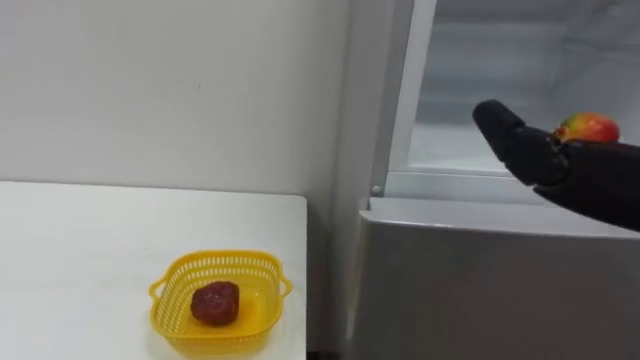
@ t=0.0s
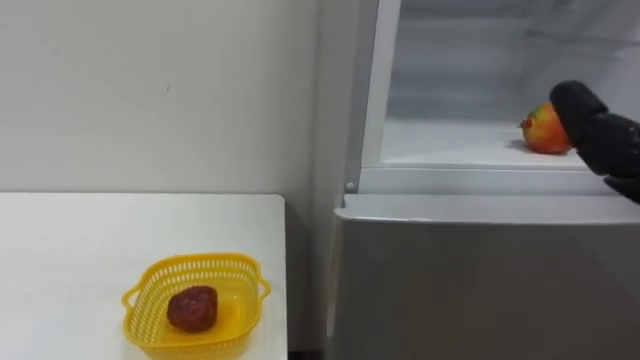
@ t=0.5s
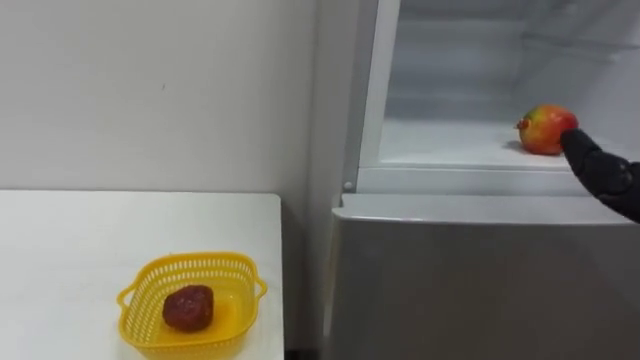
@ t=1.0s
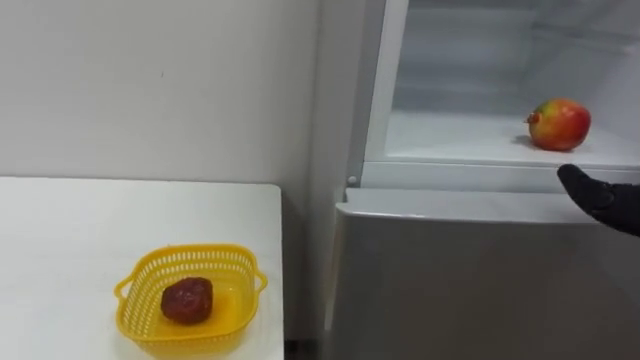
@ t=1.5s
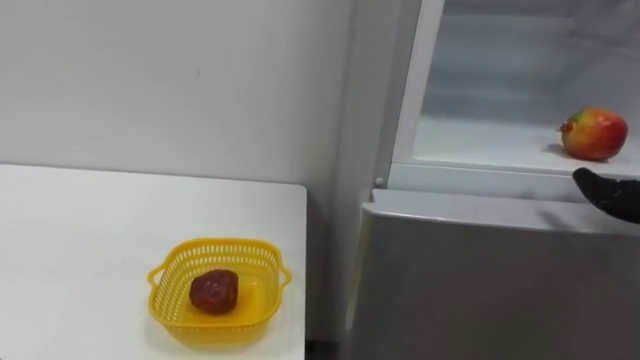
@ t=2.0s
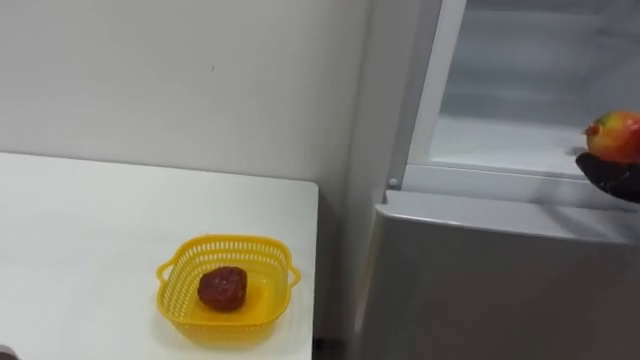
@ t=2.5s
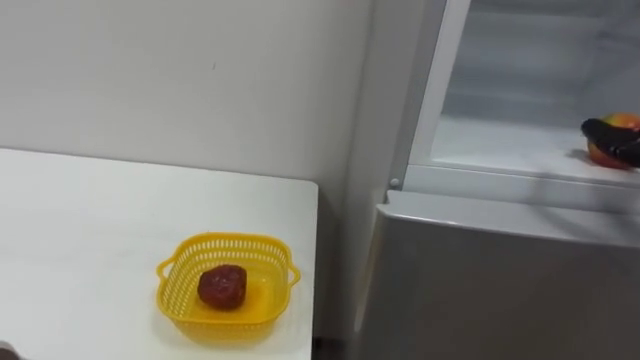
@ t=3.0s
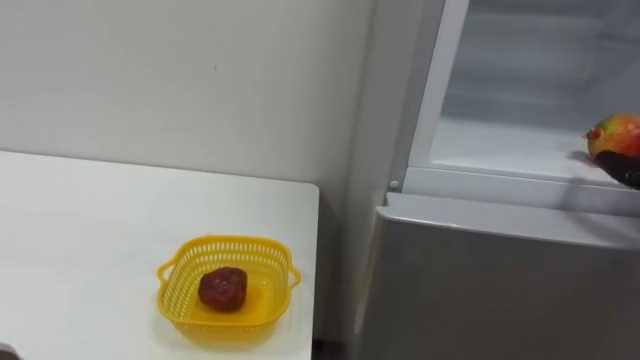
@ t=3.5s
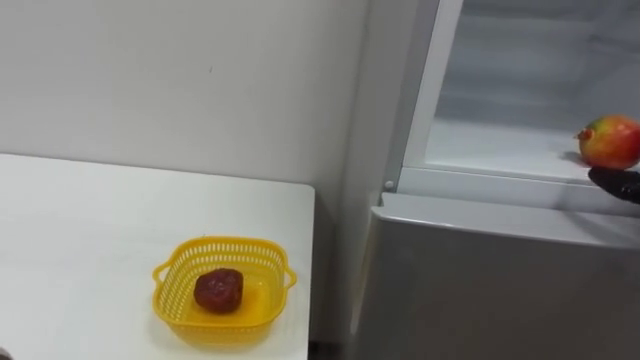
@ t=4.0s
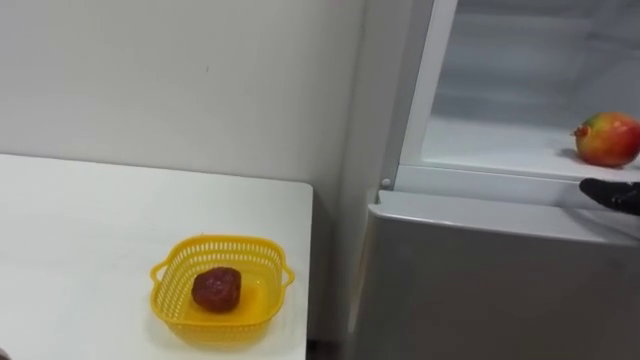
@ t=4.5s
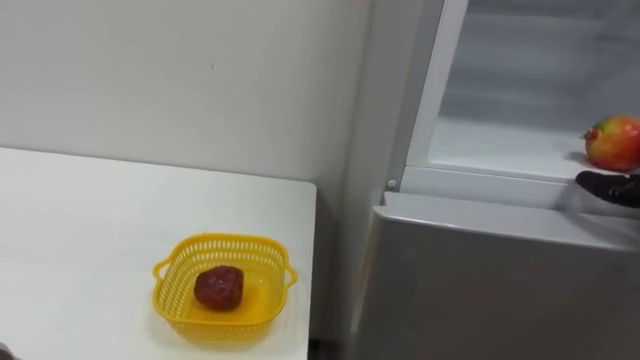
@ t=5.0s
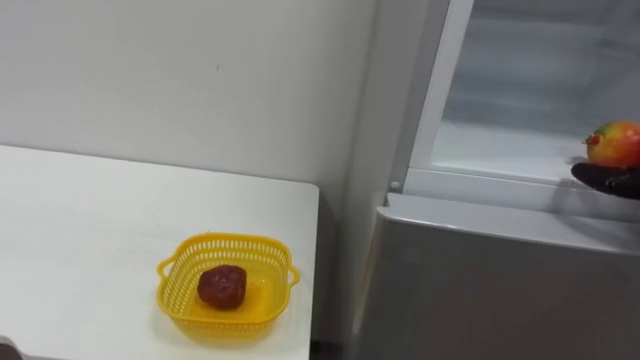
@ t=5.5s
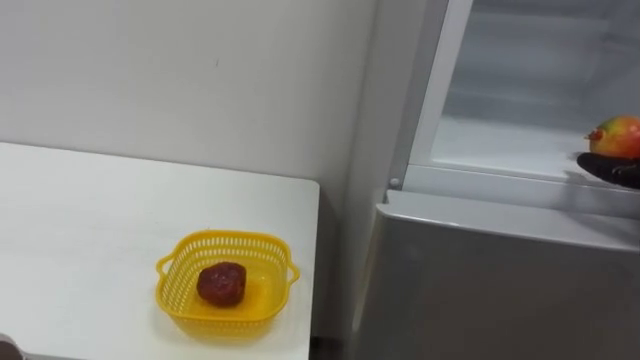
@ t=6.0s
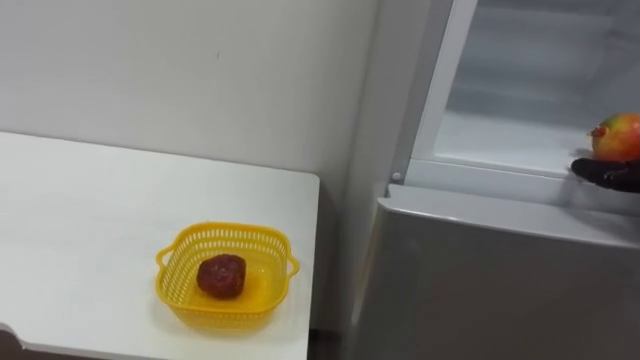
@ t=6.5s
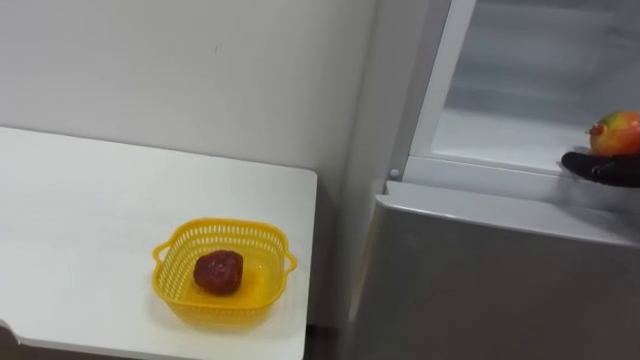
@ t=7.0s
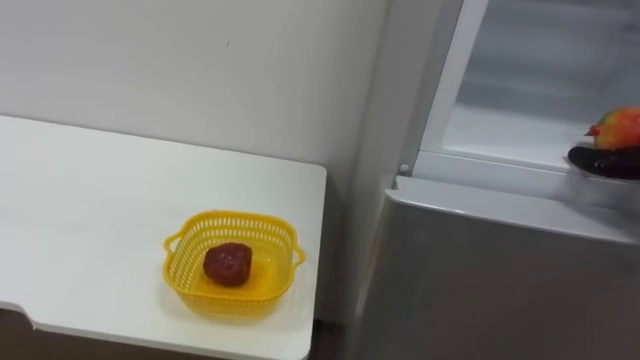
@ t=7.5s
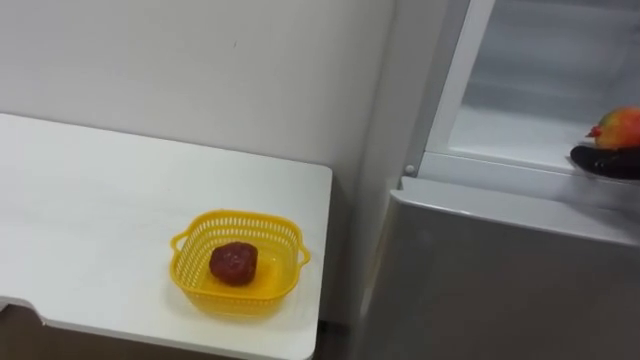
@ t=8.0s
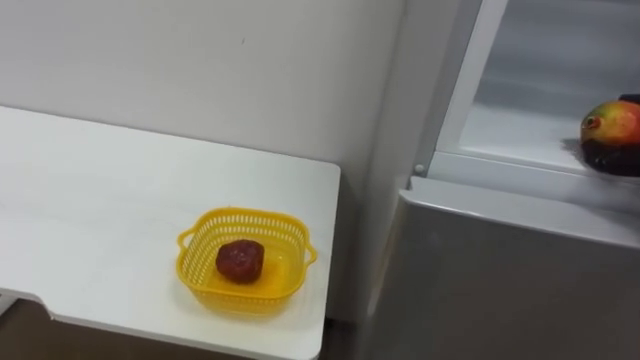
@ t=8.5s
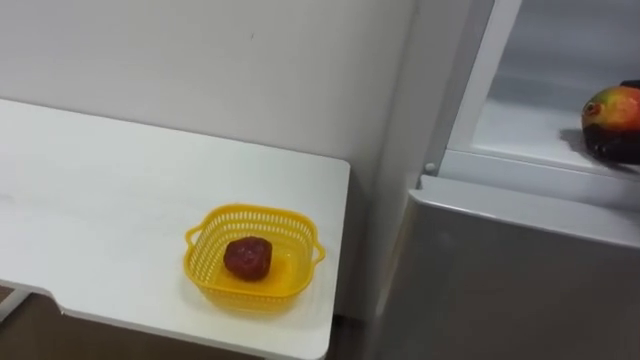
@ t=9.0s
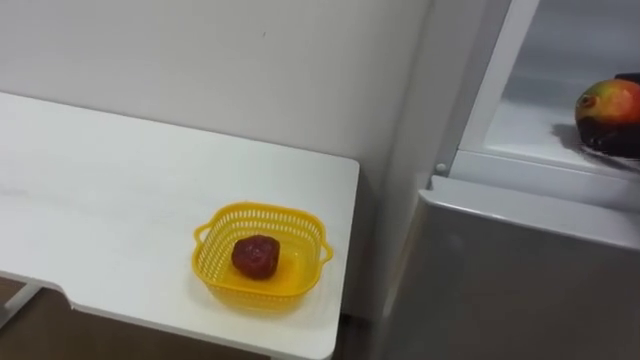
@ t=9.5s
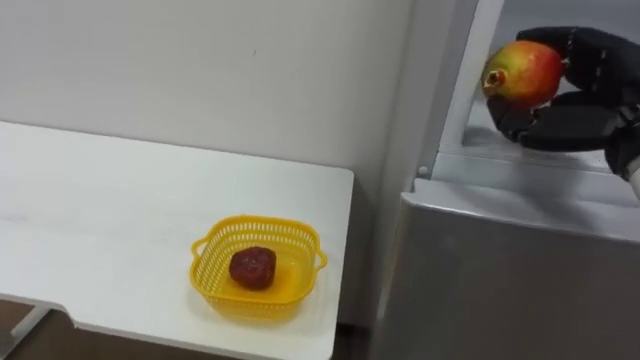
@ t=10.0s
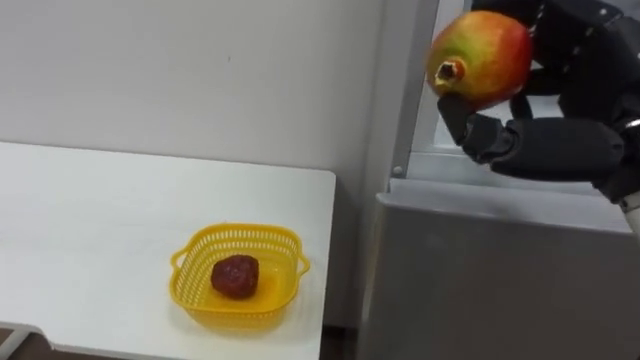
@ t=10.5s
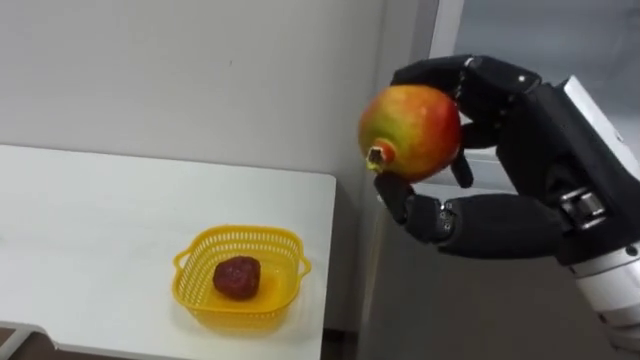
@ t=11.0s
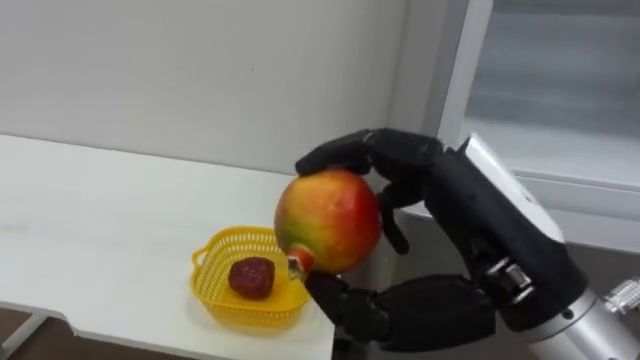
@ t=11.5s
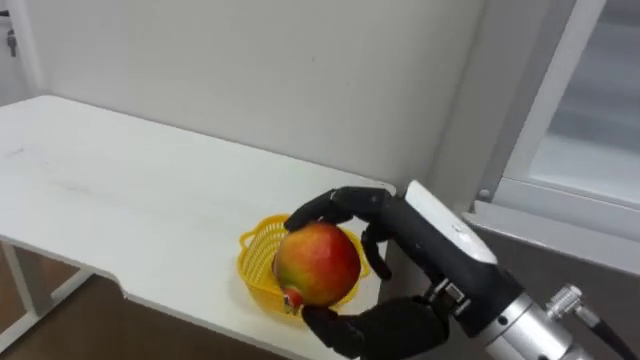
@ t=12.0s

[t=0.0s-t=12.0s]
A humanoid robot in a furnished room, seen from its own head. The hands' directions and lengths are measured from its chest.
Task of the whole recording: Open the refrigerator door, take out the apple and the pomegranate, place them in the fruit basket on the left, and close the refrigerator door.
t=10.0s to t=12.0s: The right hand travels to the left and backward by roughly 20 cm.

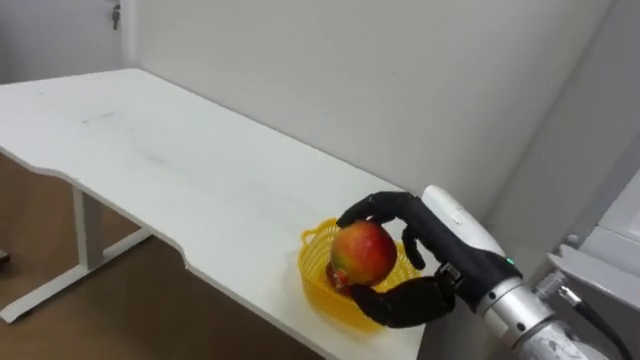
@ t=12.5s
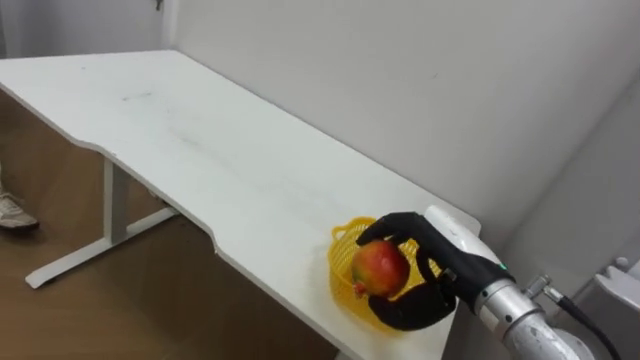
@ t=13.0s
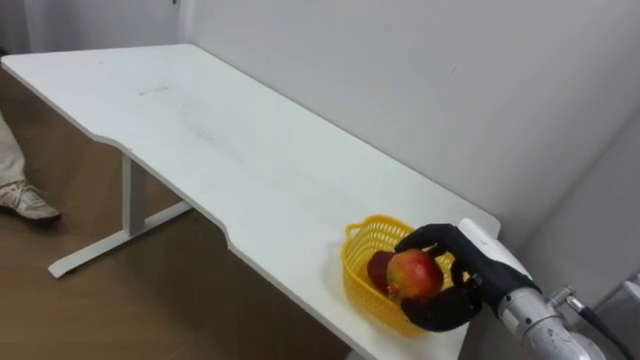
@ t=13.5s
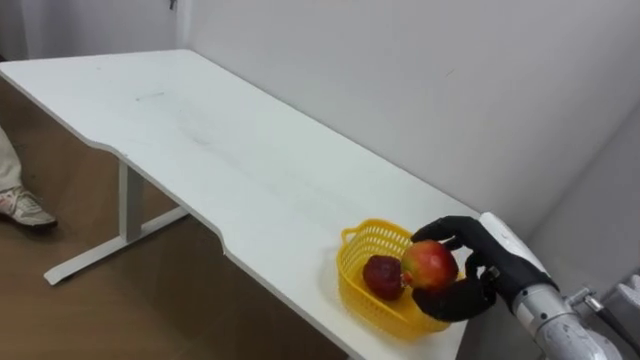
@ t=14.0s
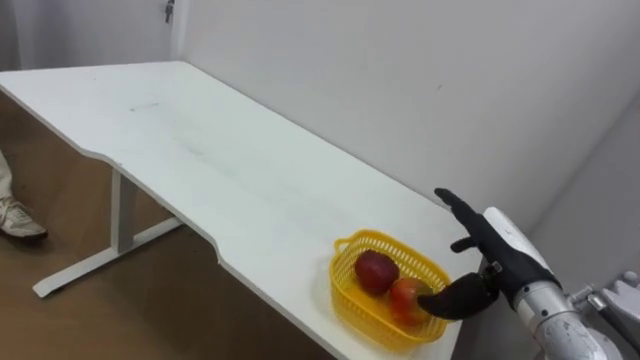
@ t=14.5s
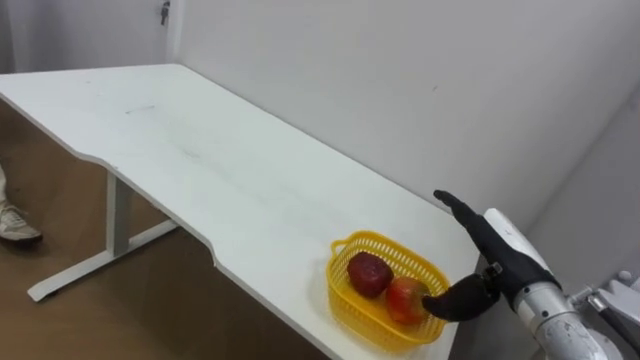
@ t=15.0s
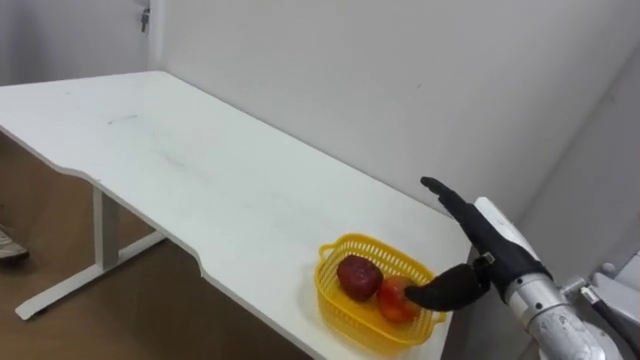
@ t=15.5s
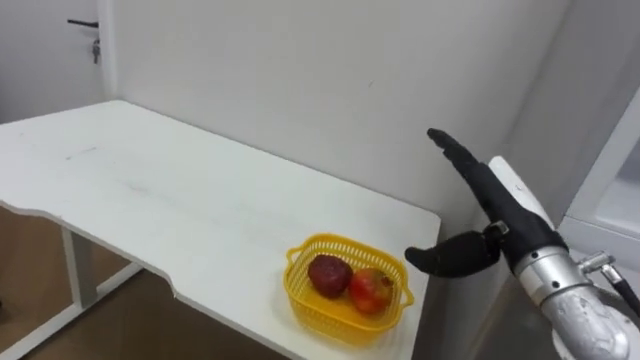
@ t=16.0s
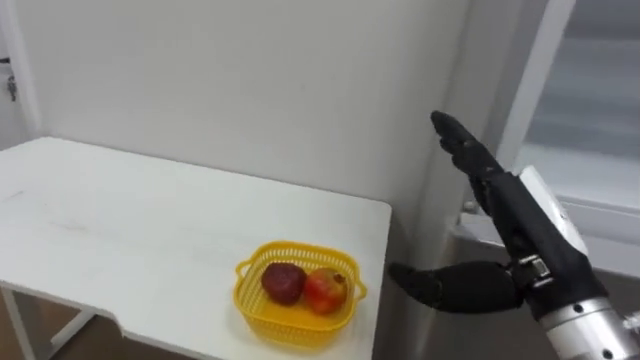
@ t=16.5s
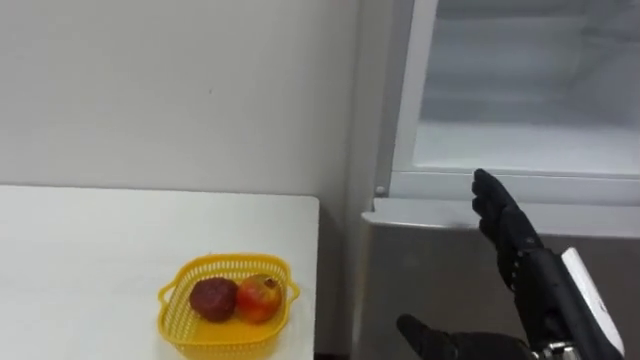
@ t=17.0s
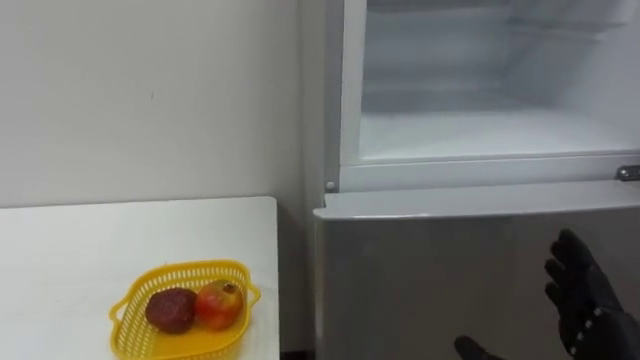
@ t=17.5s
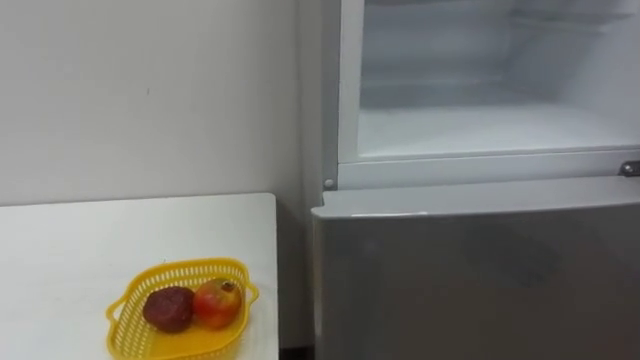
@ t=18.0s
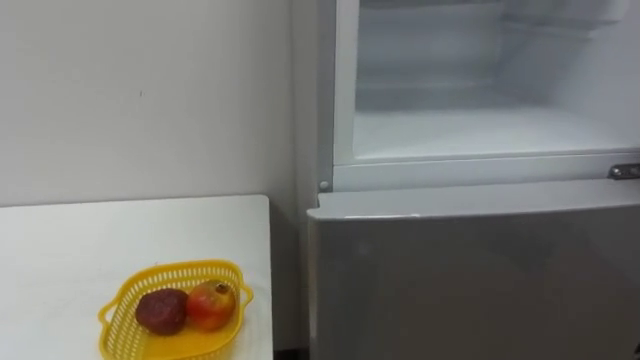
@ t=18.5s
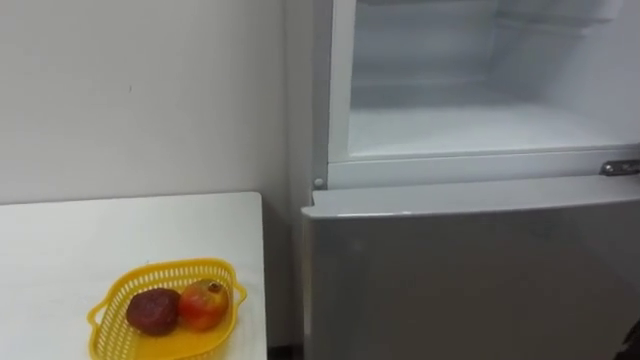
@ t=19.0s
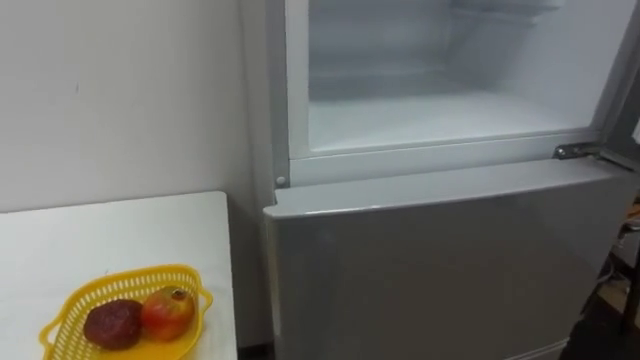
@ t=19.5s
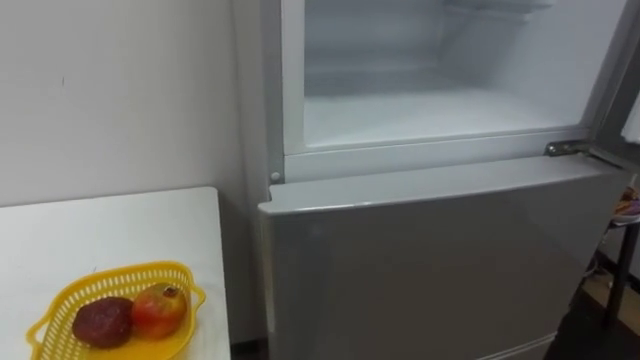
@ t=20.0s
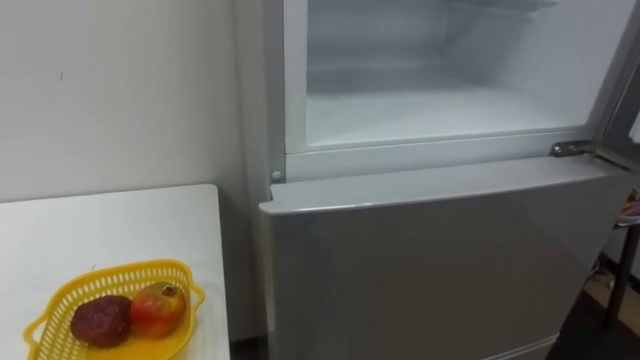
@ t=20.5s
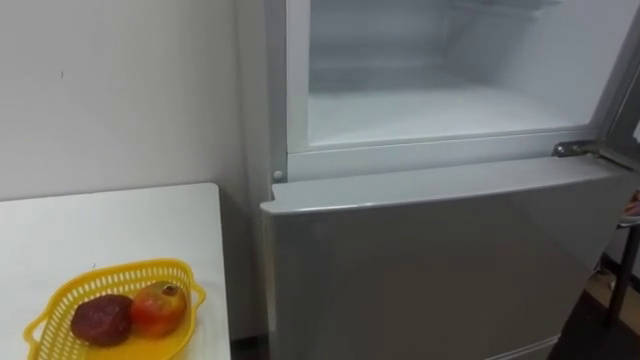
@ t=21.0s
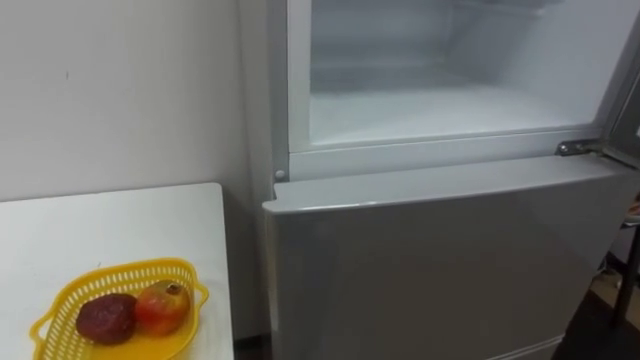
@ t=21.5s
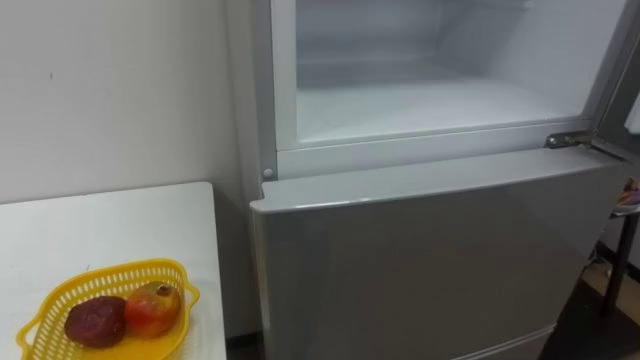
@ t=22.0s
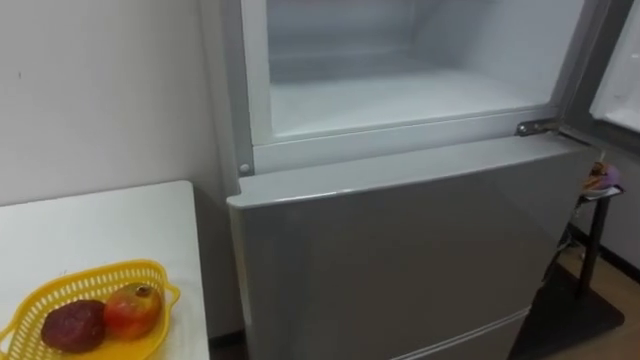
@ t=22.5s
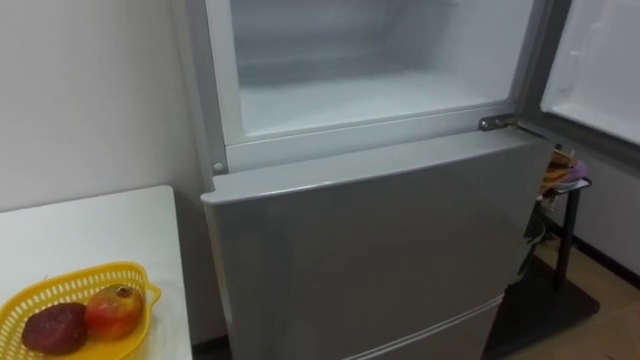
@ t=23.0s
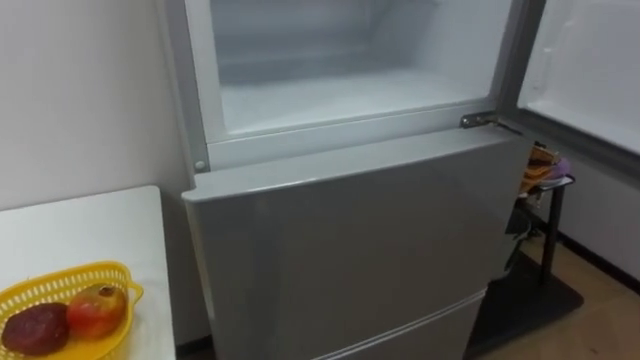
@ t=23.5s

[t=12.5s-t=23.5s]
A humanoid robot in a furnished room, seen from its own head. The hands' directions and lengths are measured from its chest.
Task of the whole recording: Open the refrigerator door, take out the apple and the pomegranate, place them in the fruit basket on the left, and close the refrigerator door.
t=12.5s to t=14.5s: The right hand travels to the right, downward and forward by roughly 10 cm, and opens up.
t=14.5s to t=16.0s: The right hand goes some 5 cm upward.
